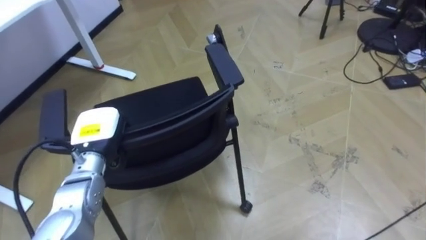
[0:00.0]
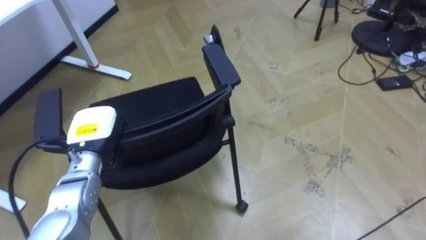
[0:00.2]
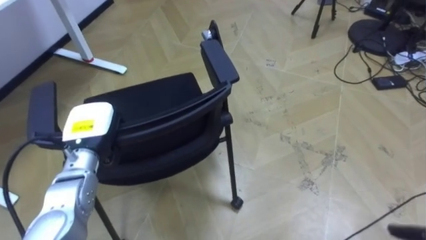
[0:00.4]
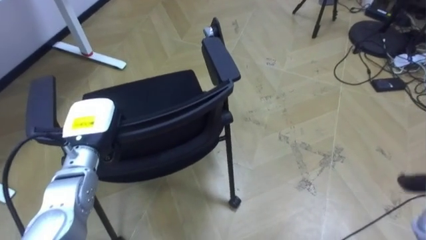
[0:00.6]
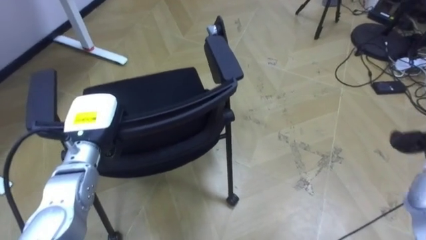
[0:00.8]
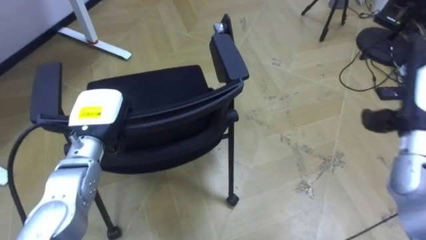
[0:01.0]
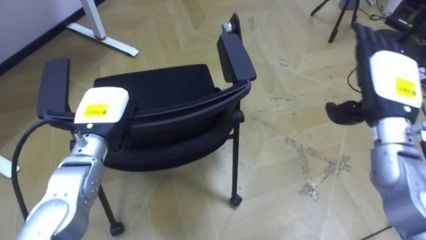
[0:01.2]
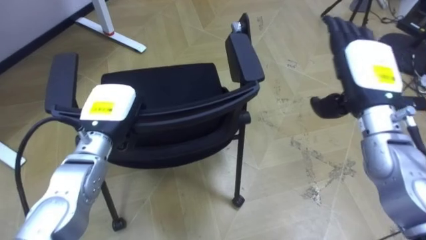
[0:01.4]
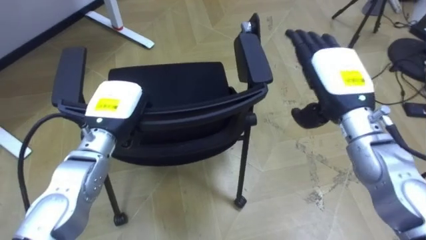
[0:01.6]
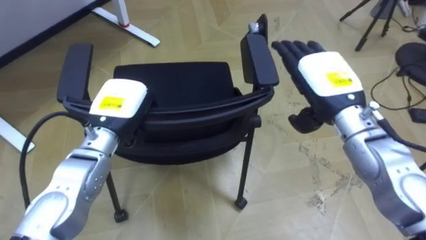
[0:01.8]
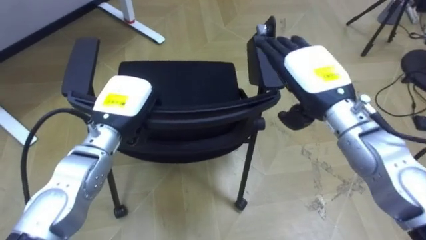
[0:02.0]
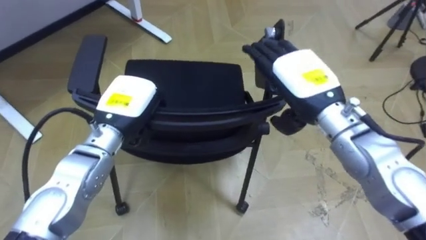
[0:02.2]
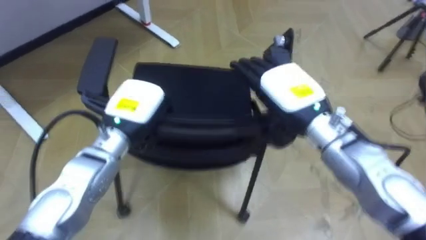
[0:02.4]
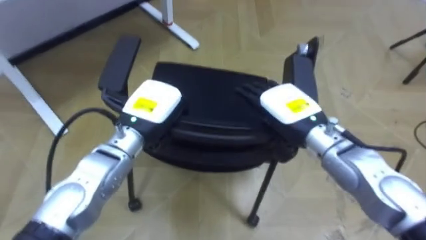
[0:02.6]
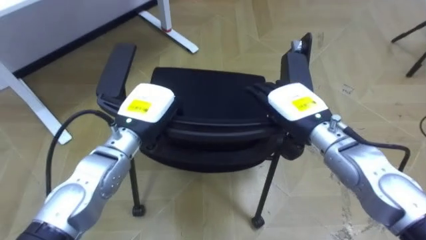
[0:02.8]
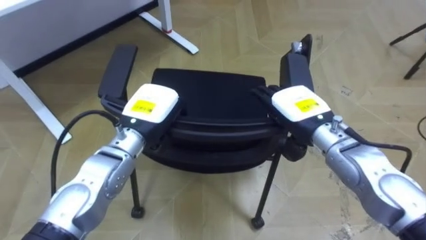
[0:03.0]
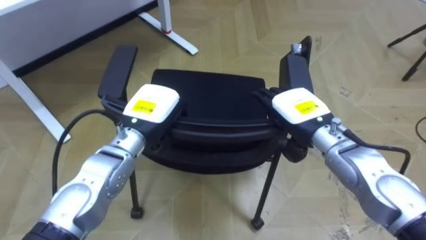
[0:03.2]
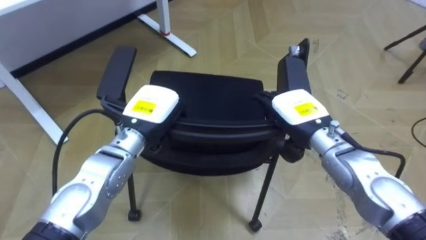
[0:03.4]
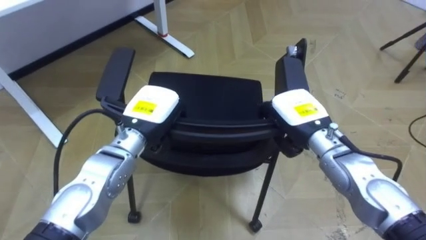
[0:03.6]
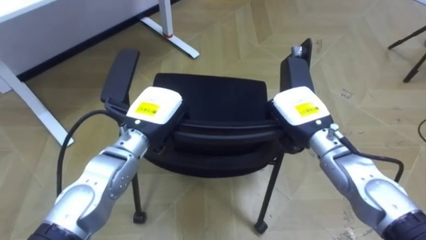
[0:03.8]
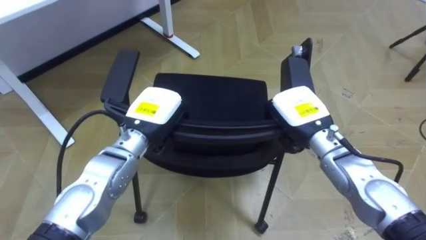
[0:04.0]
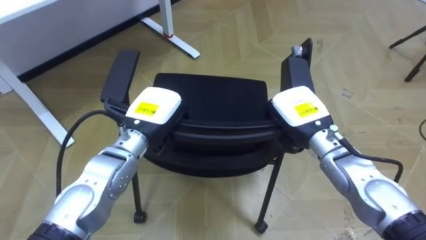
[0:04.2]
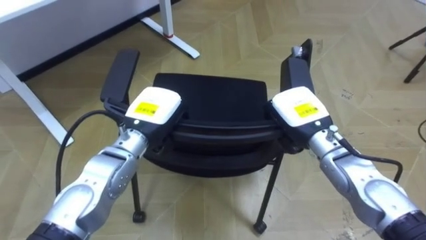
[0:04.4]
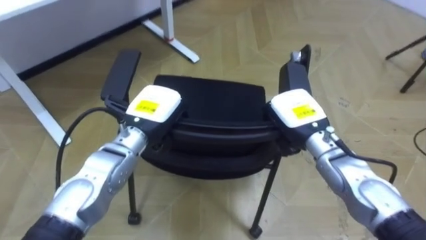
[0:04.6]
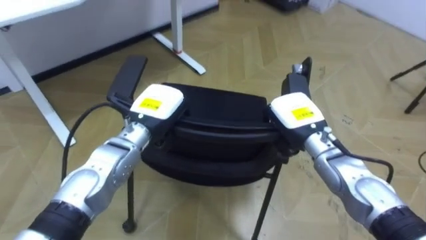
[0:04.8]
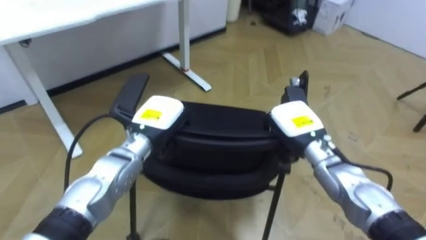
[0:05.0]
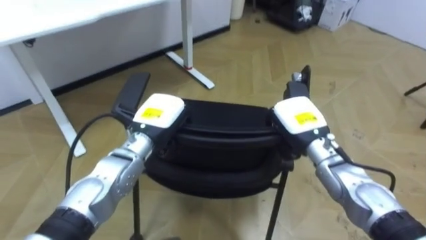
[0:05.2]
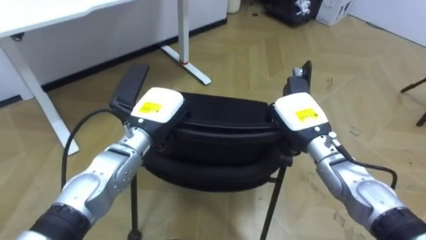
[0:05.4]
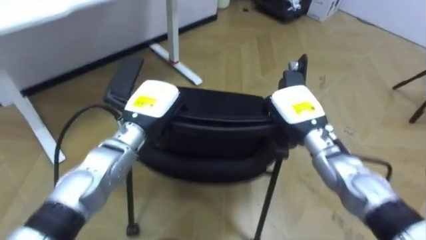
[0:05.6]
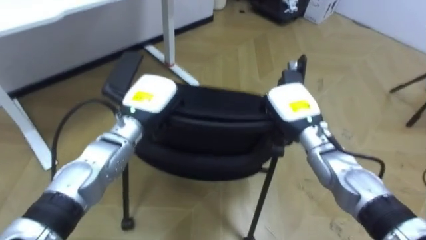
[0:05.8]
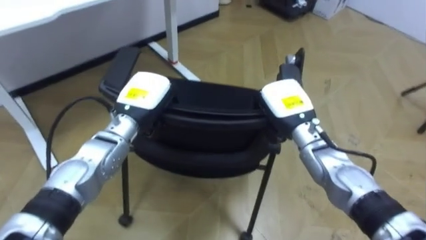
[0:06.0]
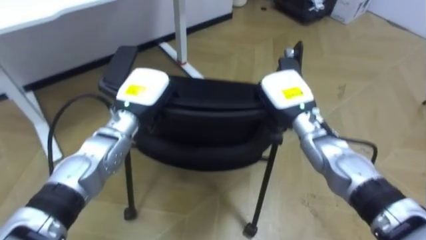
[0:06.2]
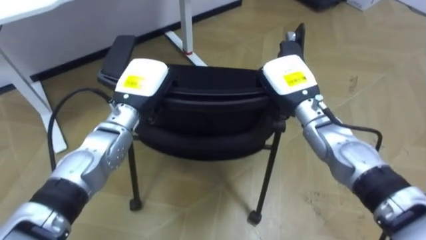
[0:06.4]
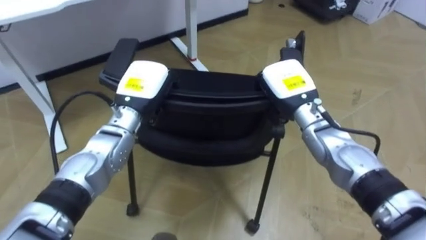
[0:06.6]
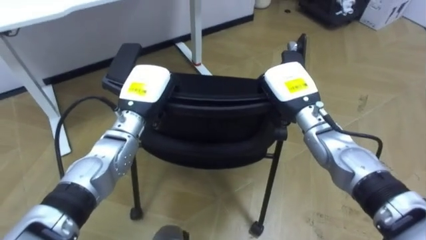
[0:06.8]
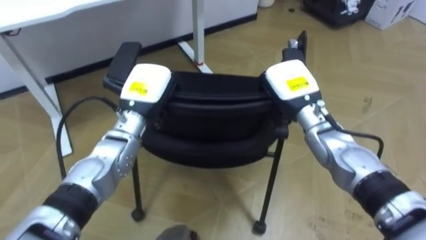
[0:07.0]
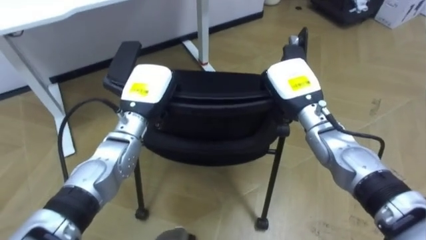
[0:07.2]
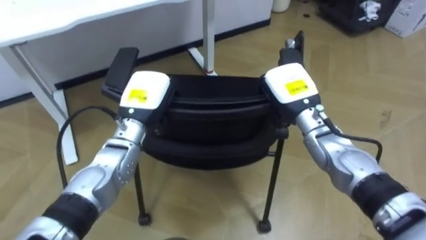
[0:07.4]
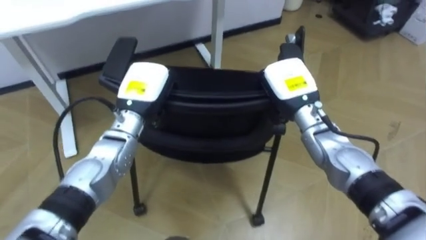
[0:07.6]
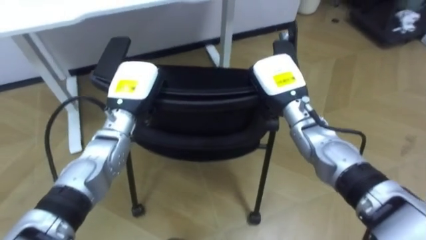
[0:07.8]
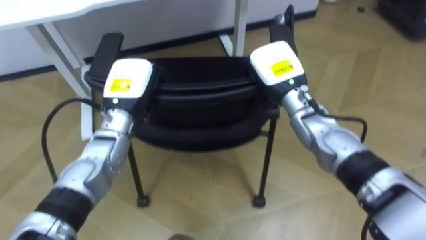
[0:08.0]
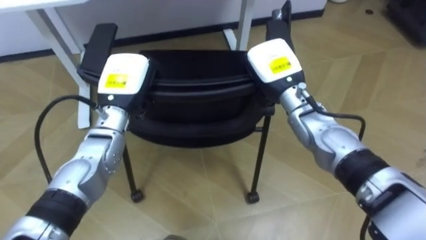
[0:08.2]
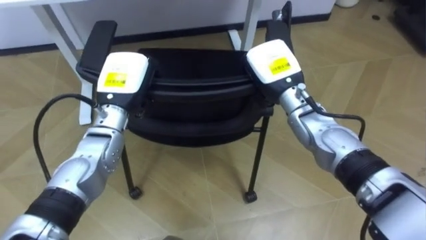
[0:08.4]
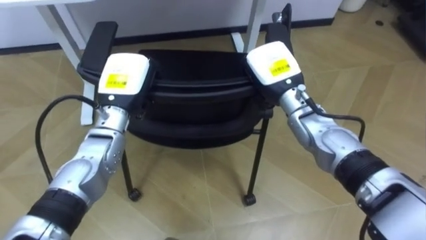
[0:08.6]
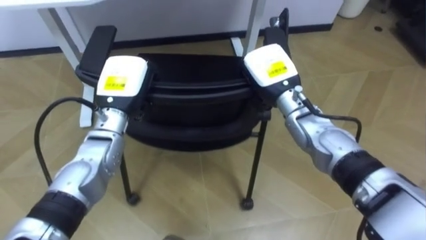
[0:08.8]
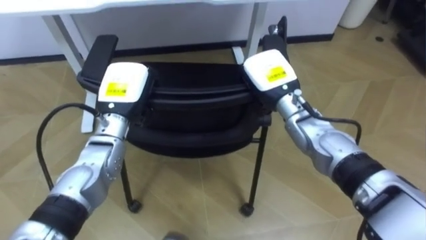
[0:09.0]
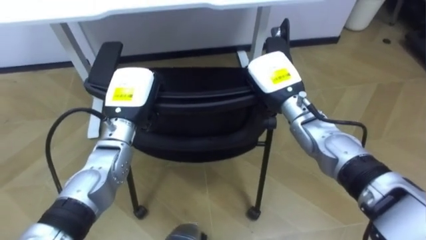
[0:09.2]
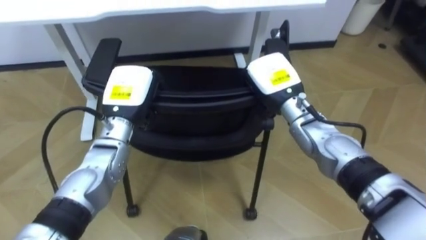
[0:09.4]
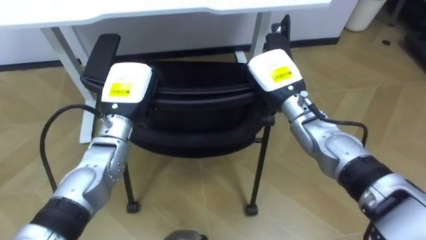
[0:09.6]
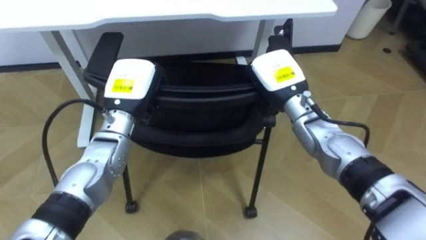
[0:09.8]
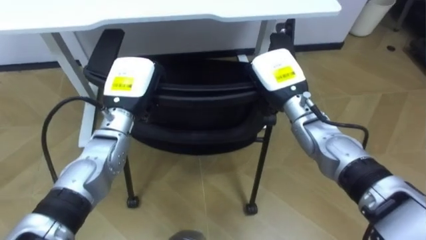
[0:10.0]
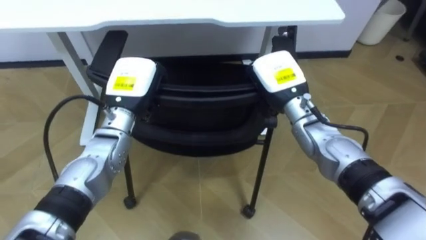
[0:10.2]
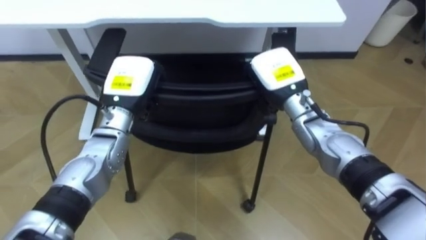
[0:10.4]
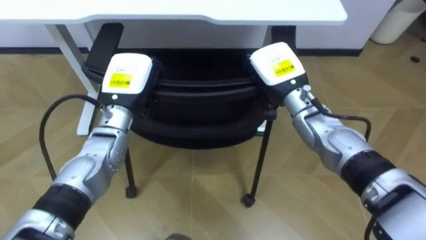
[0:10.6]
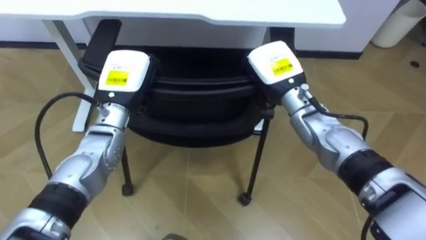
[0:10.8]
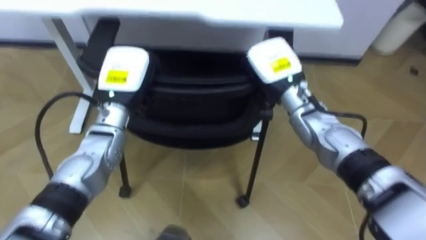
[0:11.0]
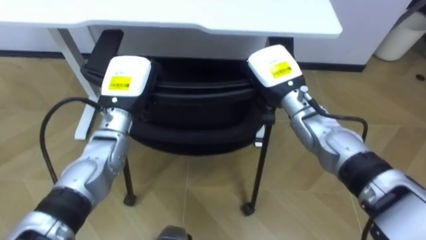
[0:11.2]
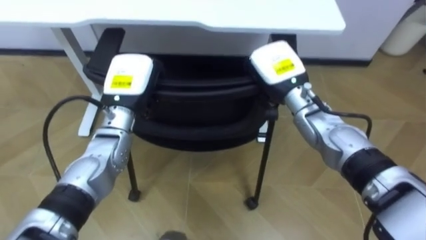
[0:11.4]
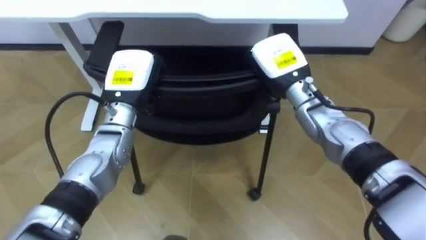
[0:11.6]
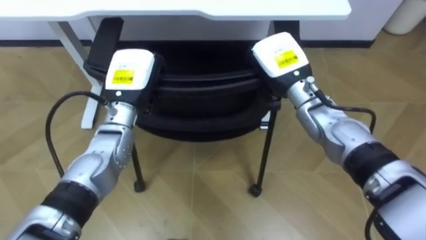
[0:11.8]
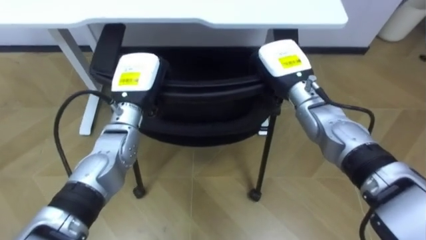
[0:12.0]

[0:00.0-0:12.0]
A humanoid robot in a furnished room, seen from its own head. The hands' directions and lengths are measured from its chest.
Task of the whole recording: Push the chair under the table.
0:00.0 to 0:01.6: The left hand heads upward, covering approximately 5 cm.
0:01.6 to 0:03.0: The left hand travels to the right by roughly 5 cm; the right hand travels downward by about 5 cm.
0:03.0 to 0:04.4: The right hand closes.
0:10.4 to 0:12.0: The right hand opens.

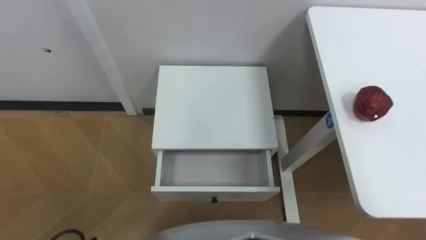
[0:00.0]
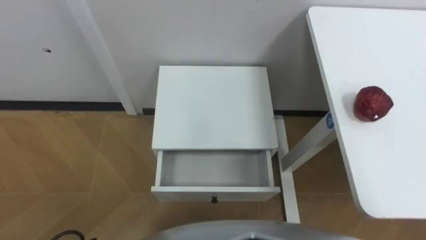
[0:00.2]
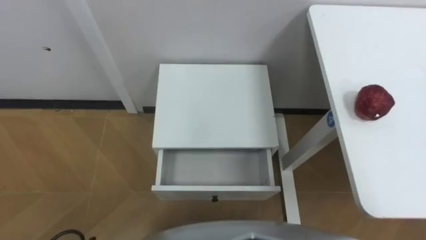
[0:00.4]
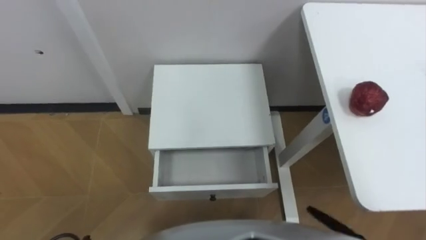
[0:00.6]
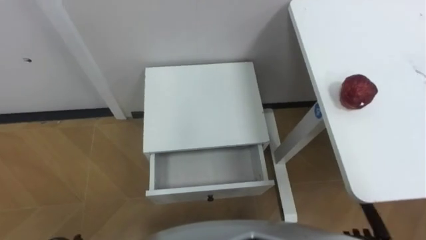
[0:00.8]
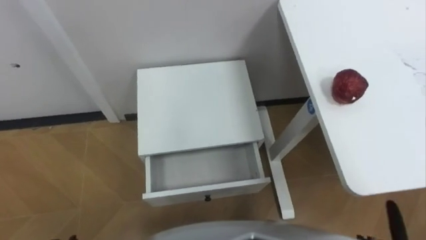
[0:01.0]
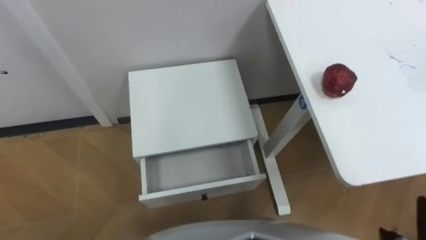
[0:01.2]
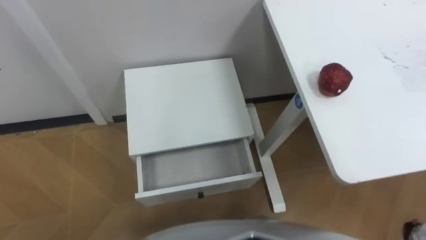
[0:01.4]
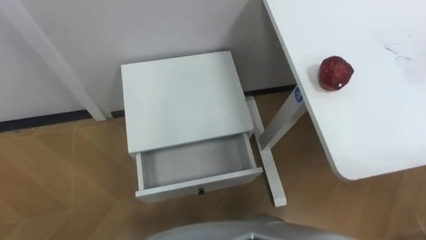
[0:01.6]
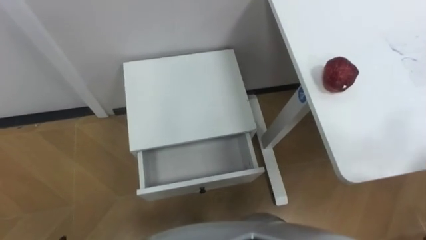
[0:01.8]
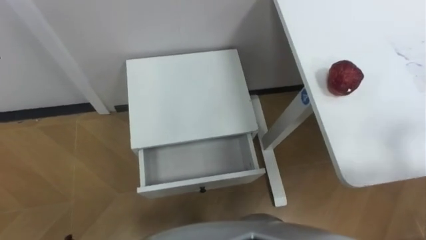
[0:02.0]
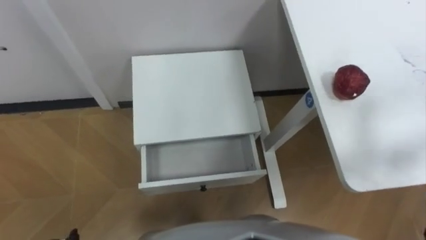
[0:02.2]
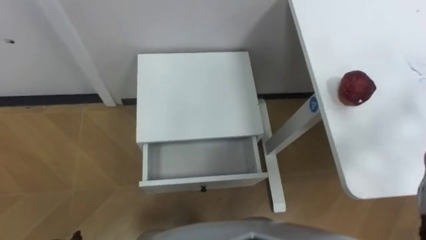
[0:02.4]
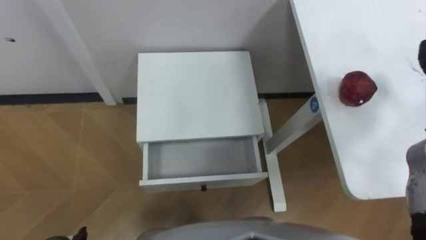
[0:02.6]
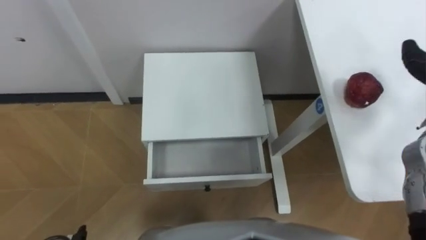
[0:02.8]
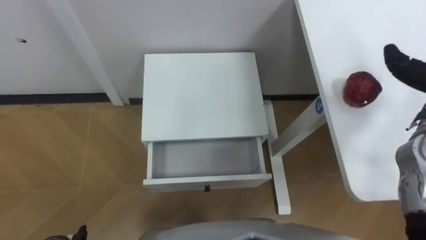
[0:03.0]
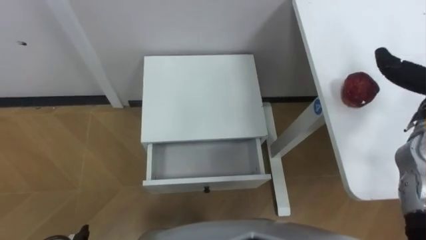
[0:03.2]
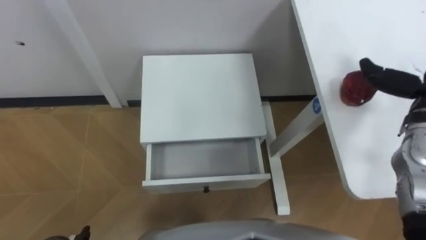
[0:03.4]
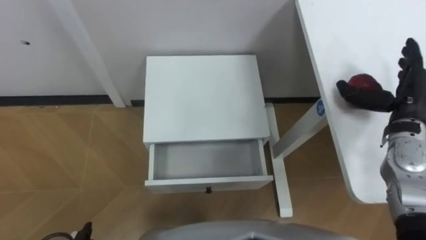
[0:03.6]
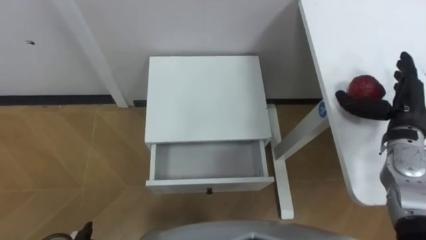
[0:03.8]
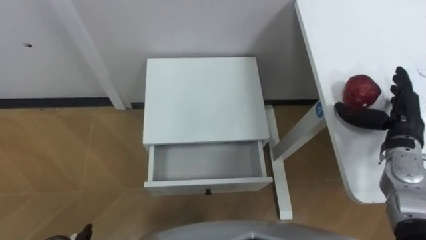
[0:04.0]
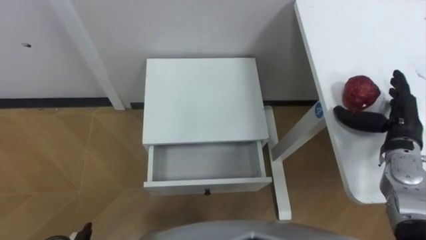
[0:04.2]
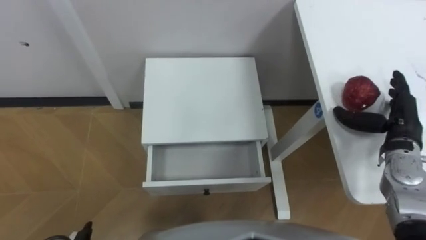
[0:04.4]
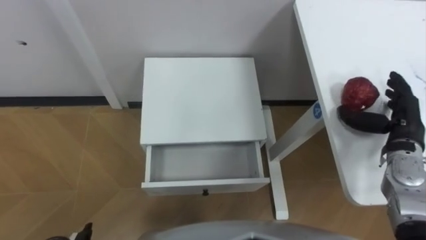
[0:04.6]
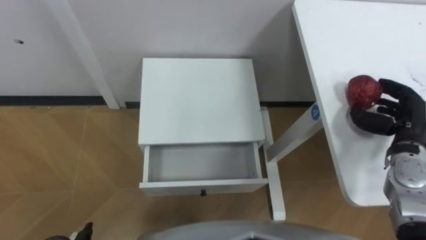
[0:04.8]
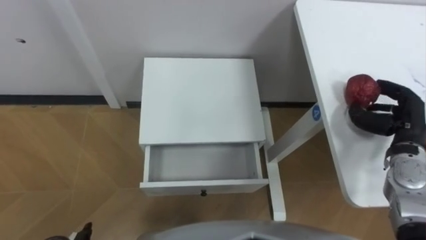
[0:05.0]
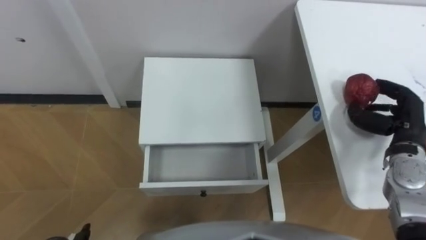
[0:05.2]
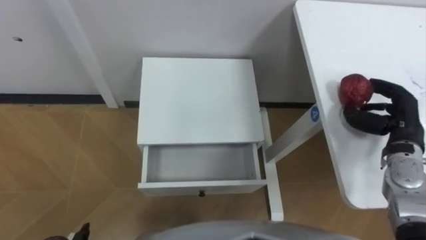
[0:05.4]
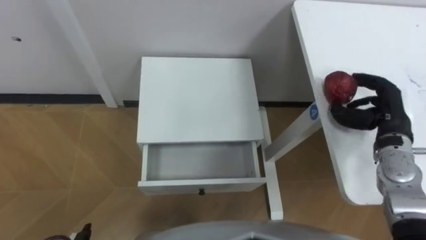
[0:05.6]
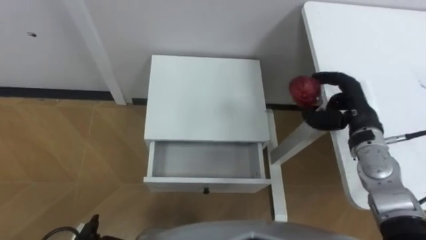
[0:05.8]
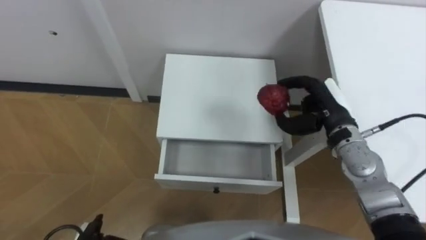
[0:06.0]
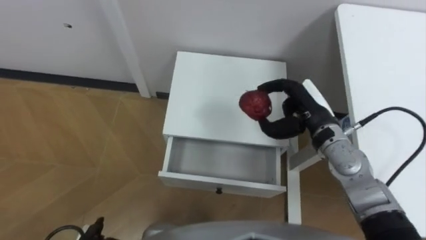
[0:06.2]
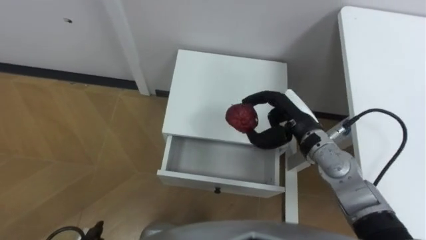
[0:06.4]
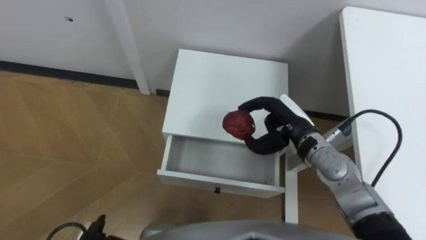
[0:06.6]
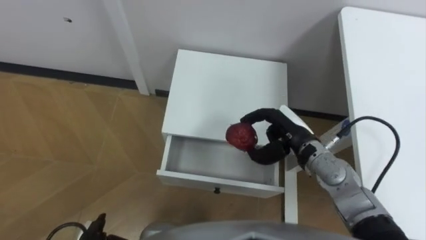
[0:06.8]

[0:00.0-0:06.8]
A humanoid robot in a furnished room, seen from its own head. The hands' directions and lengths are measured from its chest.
Task of the whole recording: Pick up the apple from the table, put it in the drawer, and close the drawer with leg.
0:04.0 to 0:05.4: The right hand closes.
0:05.4 to 0:06.8: The right hand shifts some 20 cm to the left.
